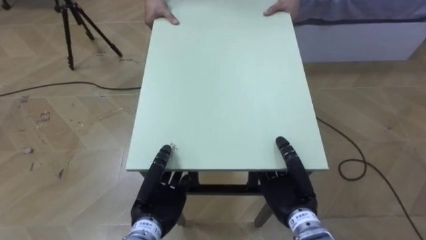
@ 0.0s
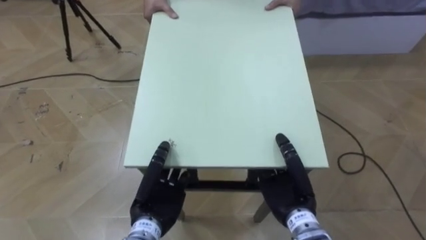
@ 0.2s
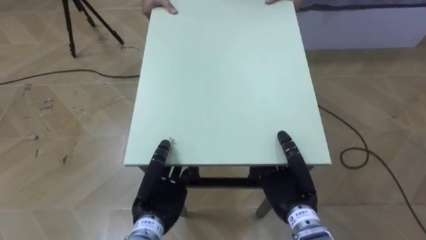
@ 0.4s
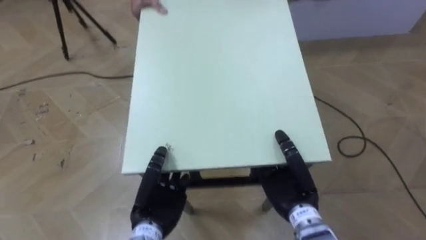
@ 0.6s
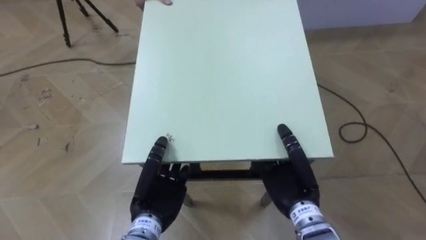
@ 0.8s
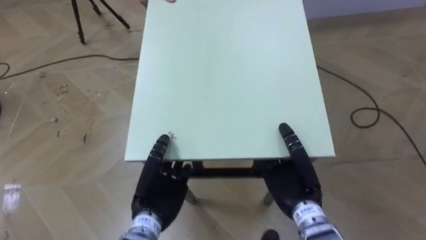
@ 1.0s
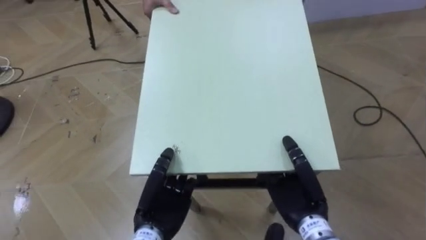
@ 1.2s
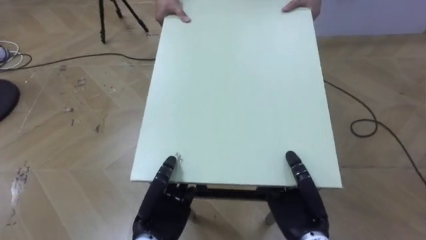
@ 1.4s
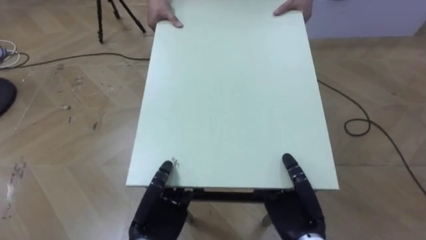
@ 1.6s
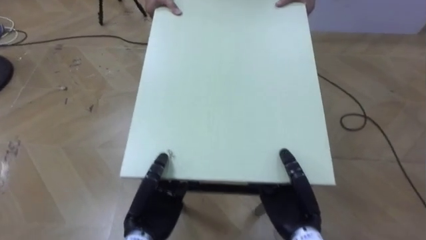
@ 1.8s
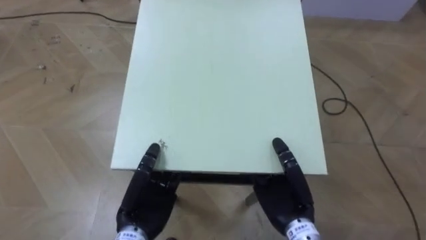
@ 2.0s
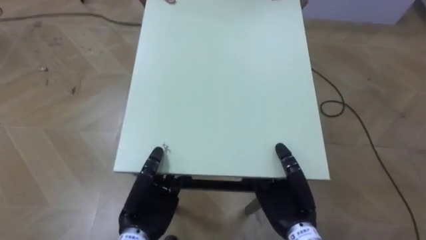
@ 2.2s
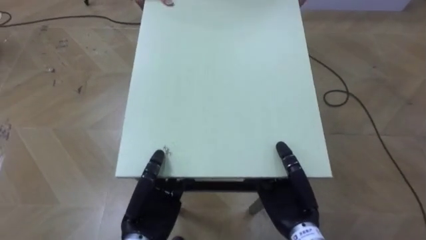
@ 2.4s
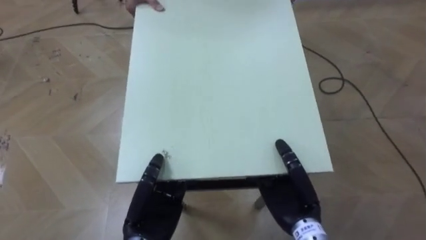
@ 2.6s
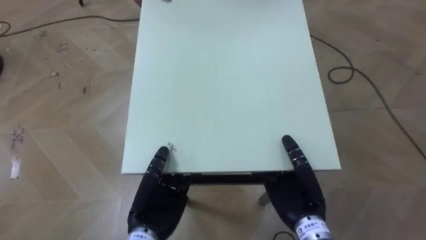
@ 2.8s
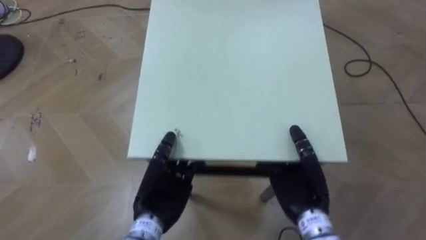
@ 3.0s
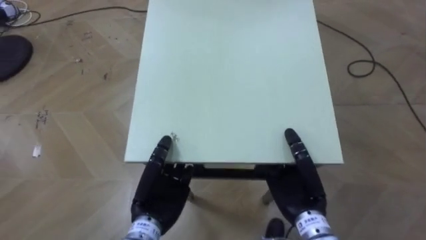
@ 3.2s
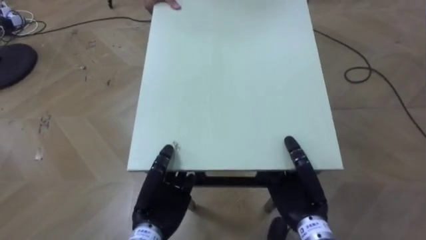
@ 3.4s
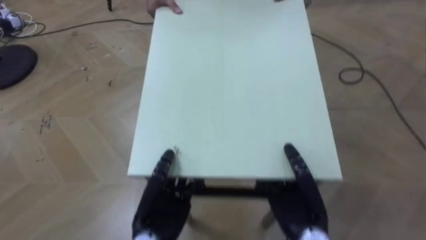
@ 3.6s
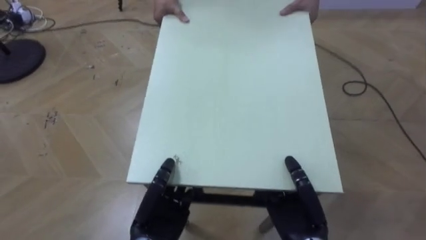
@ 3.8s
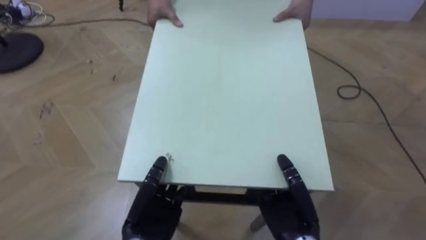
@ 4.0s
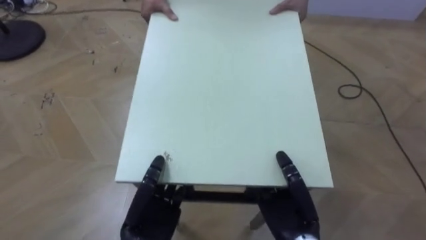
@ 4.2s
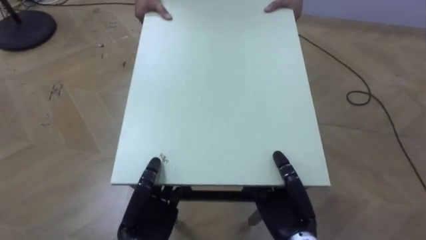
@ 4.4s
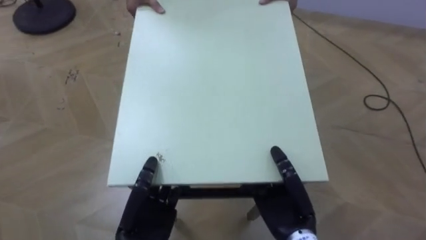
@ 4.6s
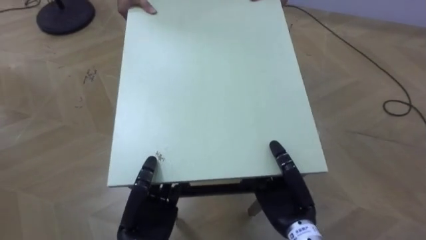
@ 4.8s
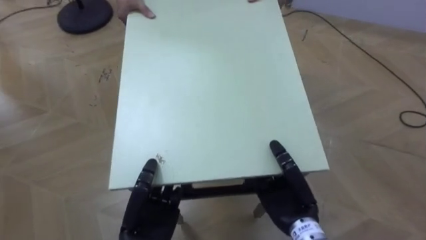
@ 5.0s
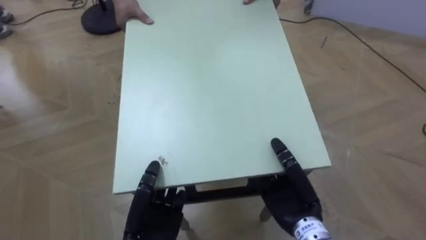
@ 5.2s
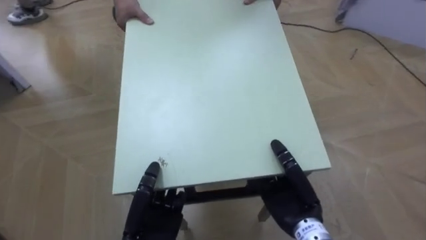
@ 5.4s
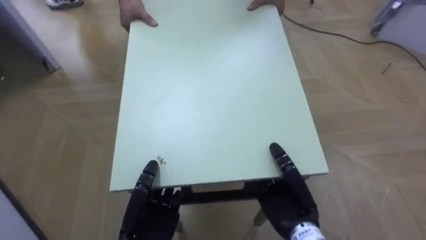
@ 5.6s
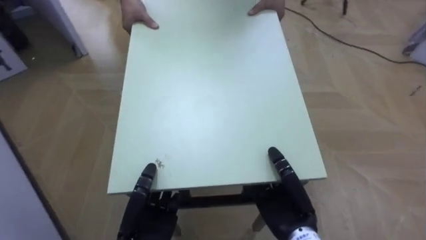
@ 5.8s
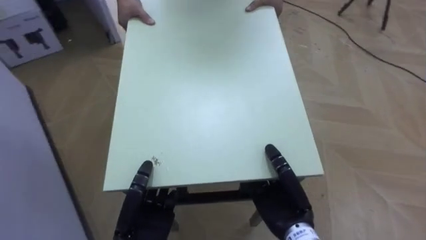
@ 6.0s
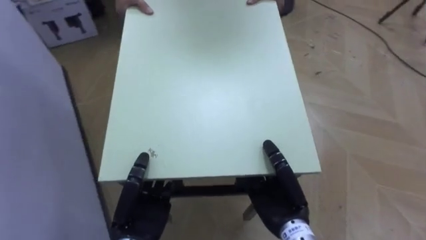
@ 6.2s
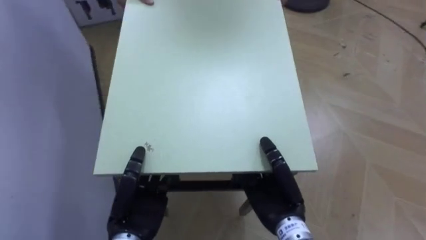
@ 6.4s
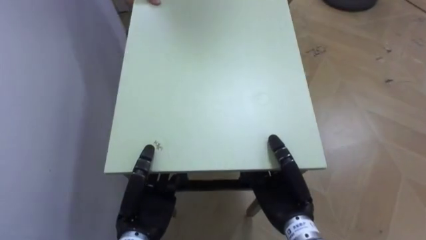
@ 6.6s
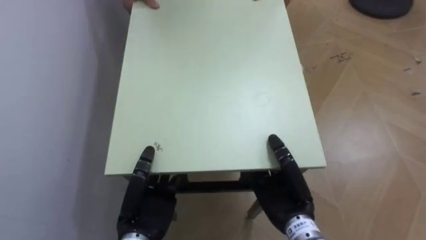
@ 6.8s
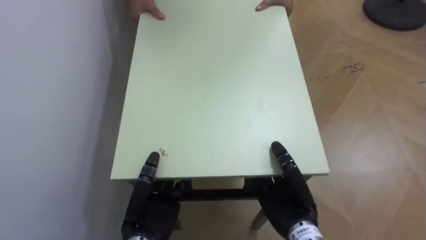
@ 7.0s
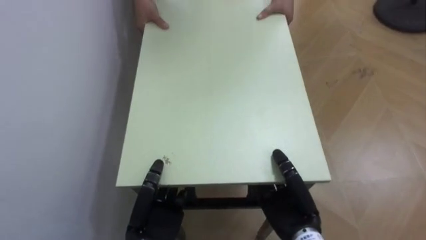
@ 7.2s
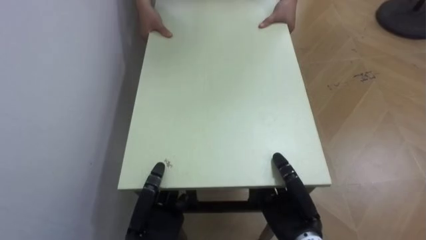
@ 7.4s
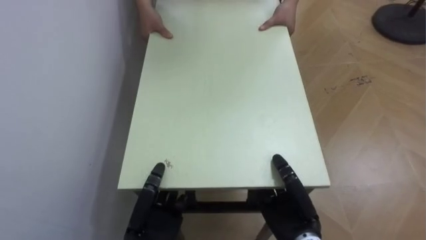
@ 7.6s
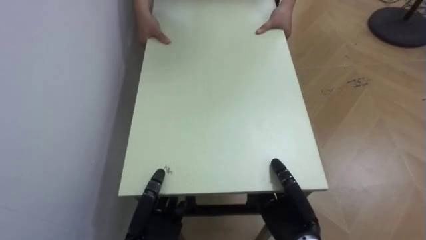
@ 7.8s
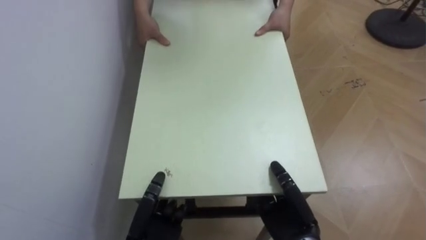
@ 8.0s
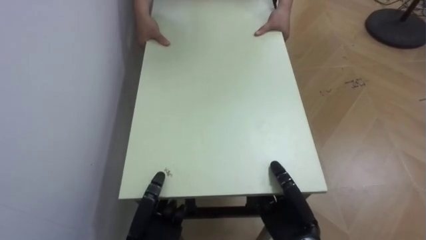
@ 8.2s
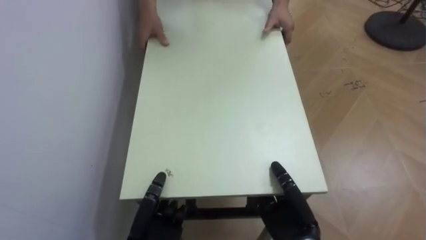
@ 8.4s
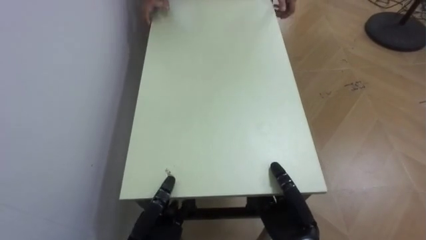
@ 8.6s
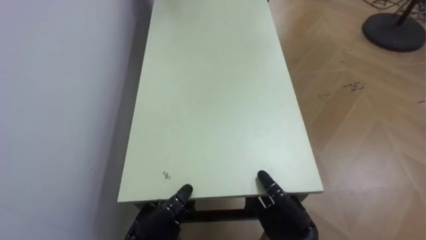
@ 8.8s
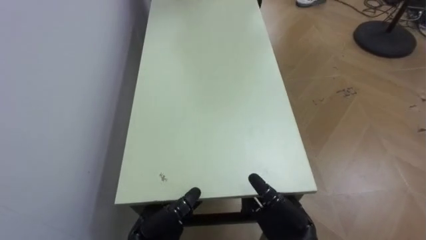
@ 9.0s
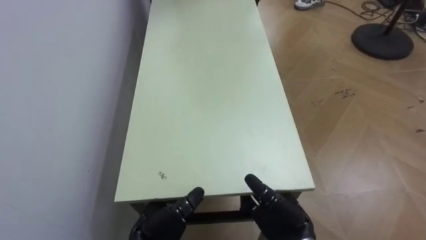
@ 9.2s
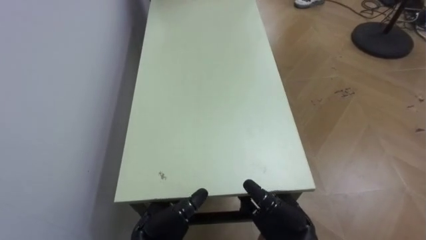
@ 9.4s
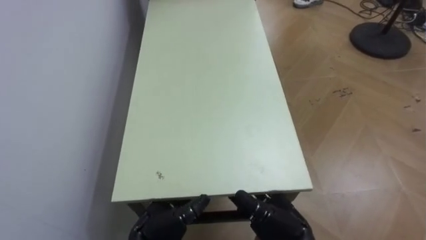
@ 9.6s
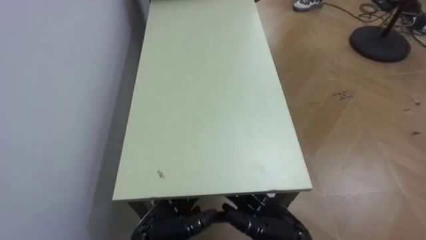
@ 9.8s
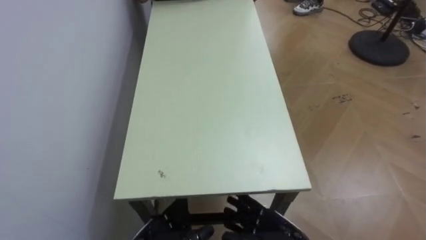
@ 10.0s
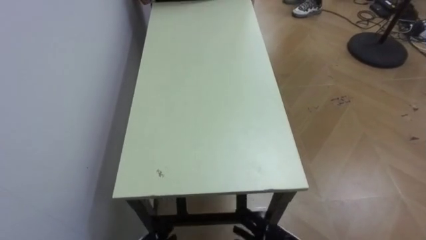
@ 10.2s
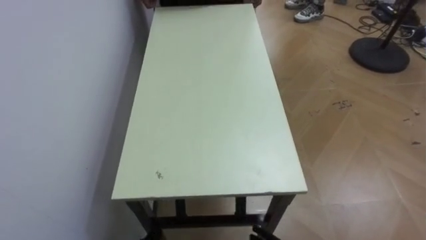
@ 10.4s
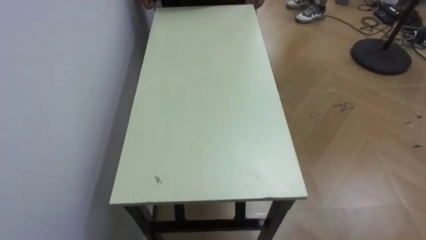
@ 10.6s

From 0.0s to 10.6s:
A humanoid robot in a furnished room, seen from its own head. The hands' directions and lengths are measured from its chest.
Task of the whole recording: Move the table to the back left with someone.
From 1.6s to 3.0s: The left hand moves roughly 5 cm.
From 3.0s to 4.6s: The left hand moves approximately 5 cm.
From 4.6s to 6.0s: The robot's body swings some 40 degrees to its left.
From 6.0s to 7.6s: The robot faces some 40 degrees further to its left.
From 7.6s to 9.0s: The left hand opens up. Meanwhile the right hand opens its fingers.

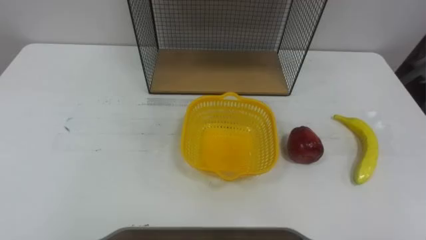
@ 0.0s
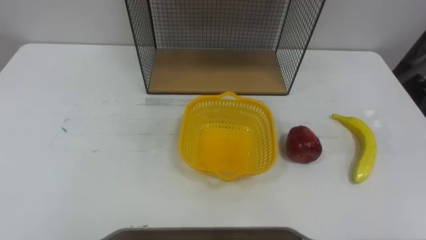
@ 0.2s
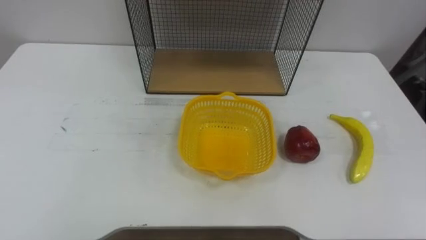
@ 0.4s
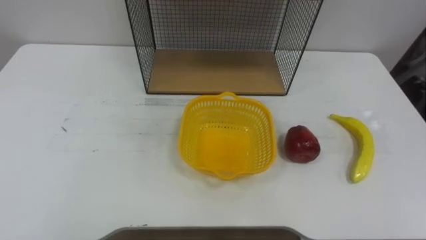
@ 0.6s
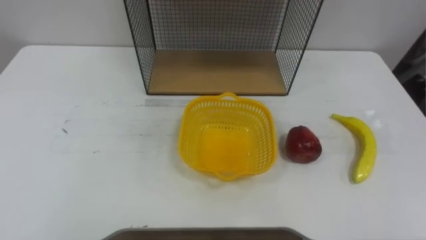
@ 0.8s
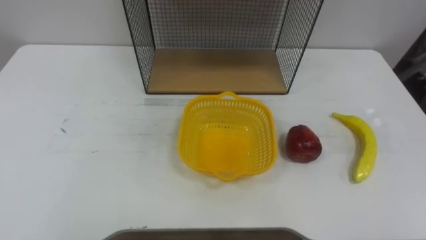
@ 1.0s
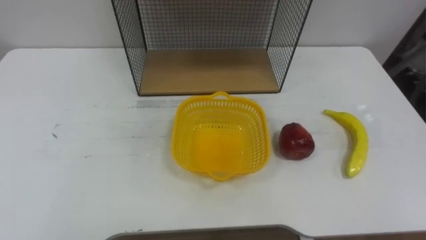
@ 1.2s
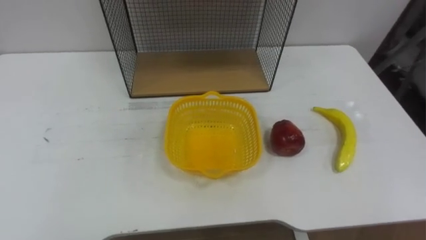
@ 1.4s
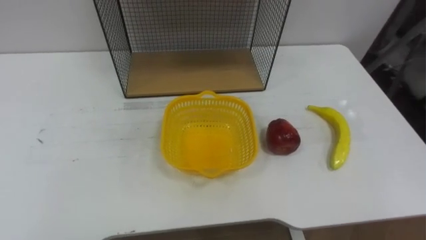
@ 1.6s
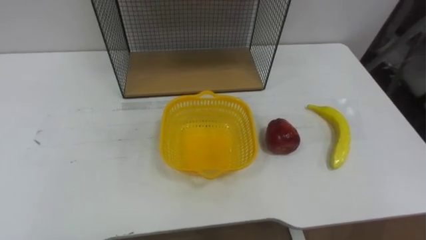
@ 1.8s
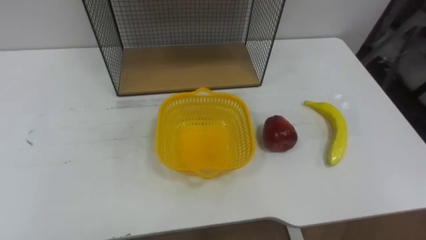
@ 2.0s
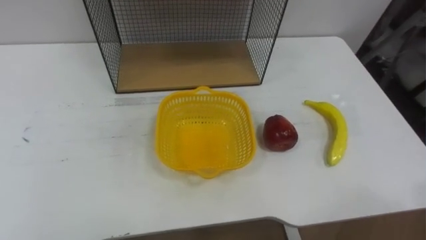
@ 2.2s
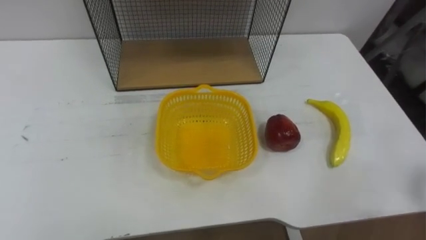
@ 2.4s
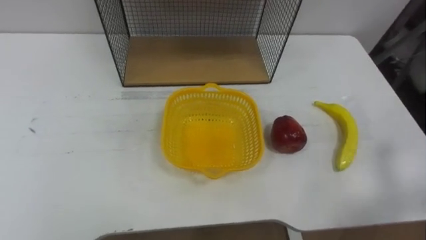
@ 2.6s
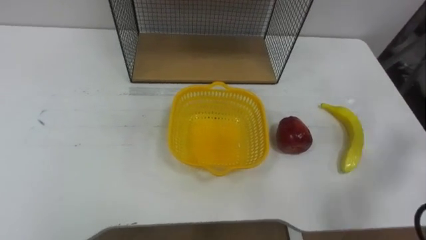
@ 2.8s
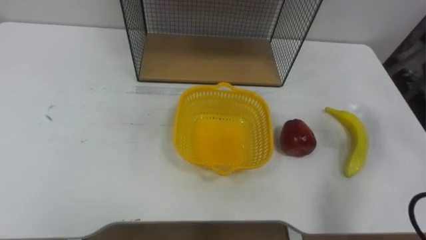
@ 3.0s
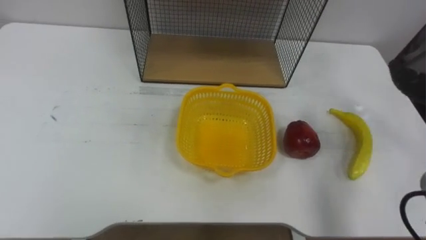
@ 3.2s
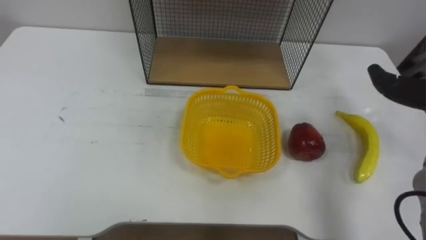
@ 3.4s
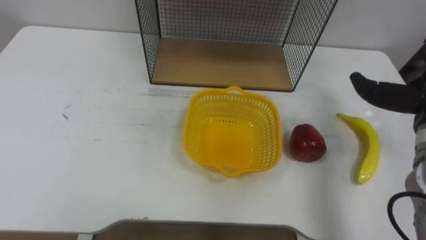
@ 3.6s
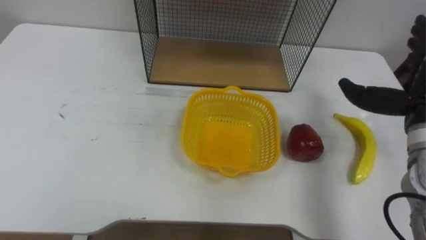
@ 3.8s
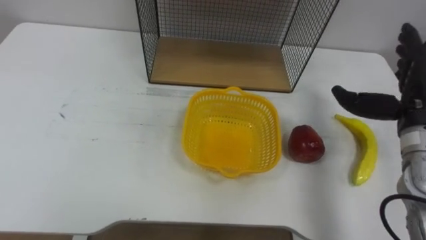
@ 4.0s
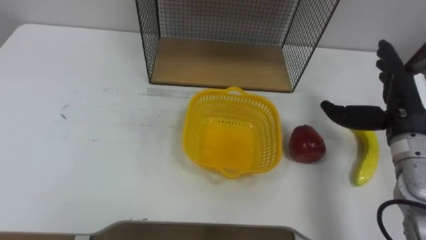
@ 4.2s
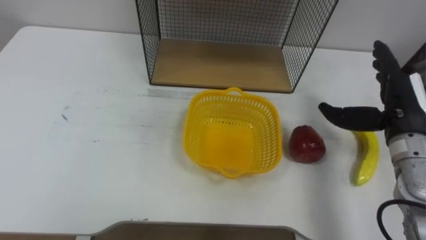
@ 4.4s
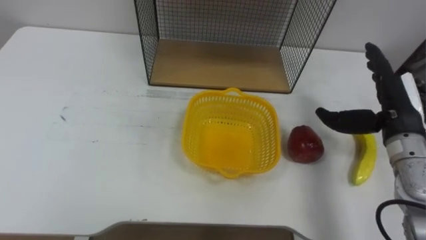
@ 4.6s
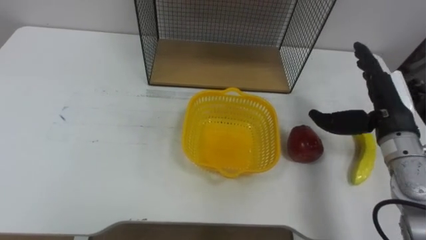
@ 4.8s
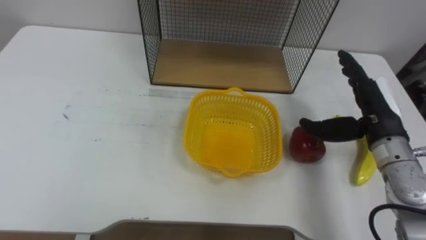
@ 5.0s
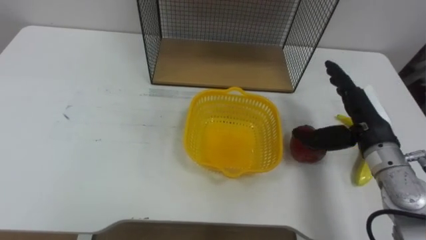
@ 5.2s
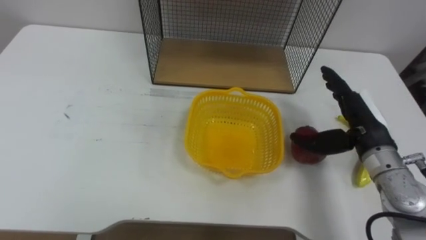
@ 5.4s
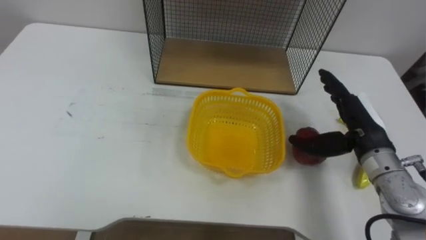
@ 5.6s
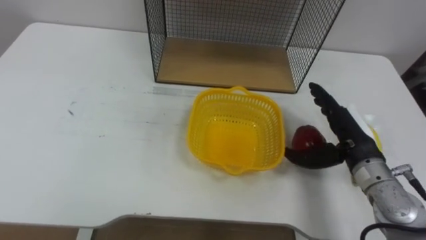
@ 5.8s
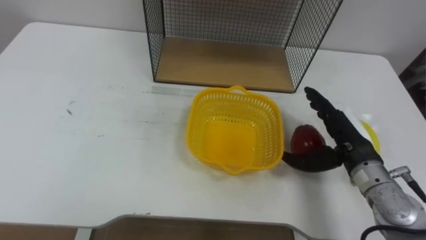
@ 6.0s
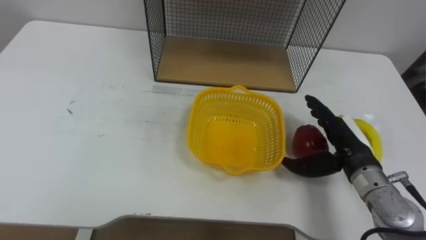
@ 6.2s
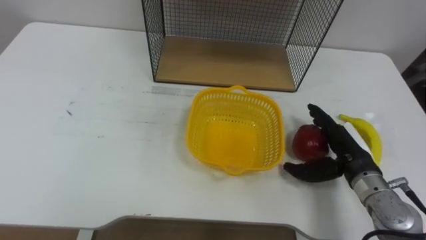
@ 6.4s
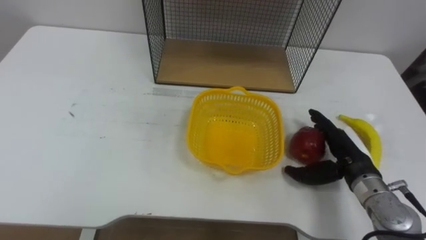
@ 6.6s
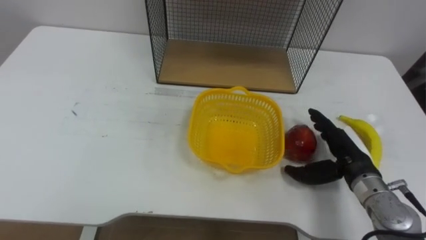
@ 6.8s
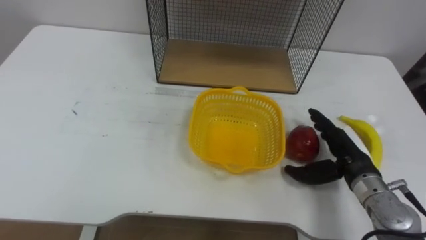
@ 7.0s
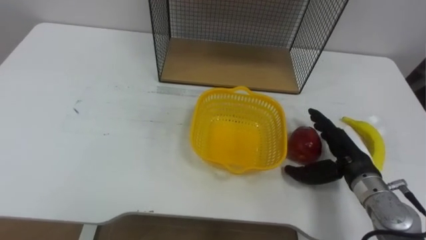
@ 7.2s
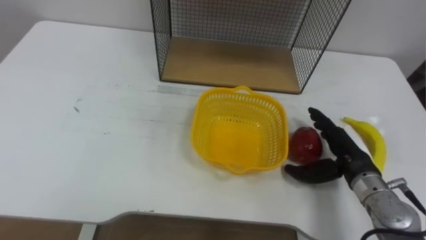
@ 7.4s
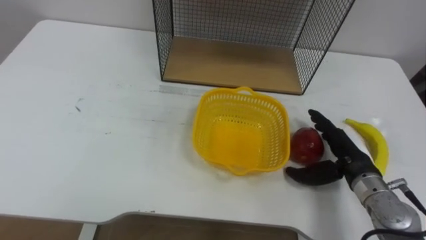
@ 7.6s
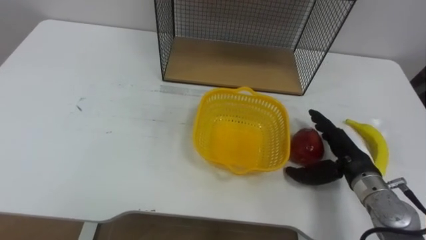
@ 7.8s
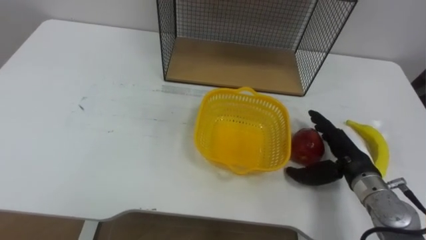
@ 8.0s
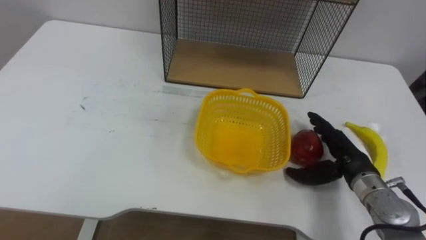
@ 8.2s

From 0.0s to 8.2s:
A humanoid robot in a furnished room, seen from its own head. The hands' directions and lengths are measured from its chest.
Task of the whole recording: Put the fruit on the table into the basket, then place the basket on the shelf.
From 5.0s to 6.6s: The right hand is displaced downward by roughly 10 cm.
